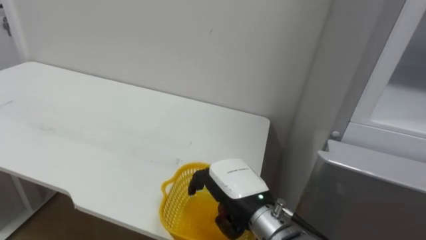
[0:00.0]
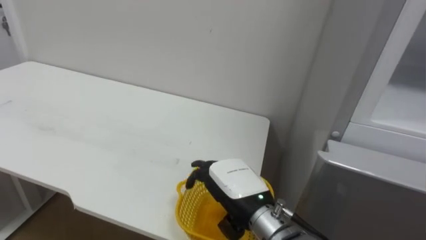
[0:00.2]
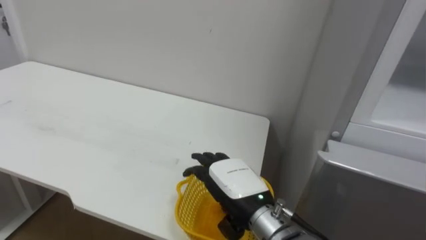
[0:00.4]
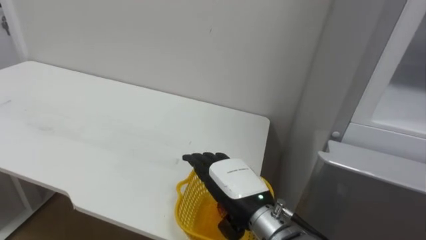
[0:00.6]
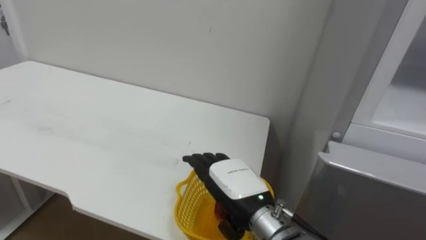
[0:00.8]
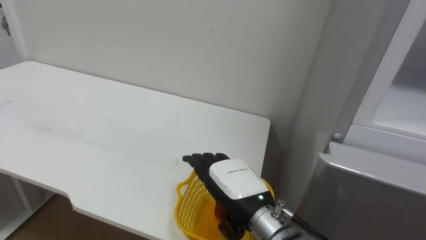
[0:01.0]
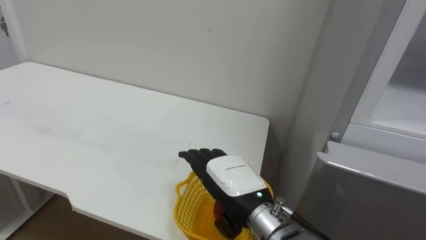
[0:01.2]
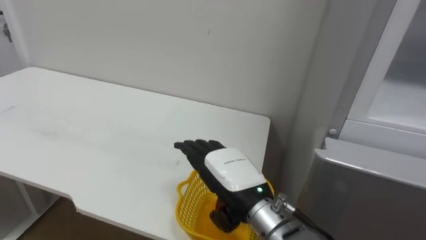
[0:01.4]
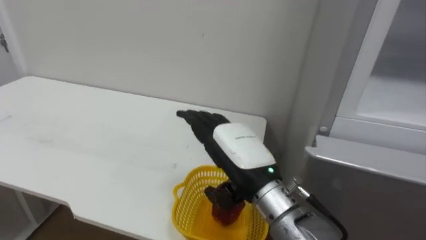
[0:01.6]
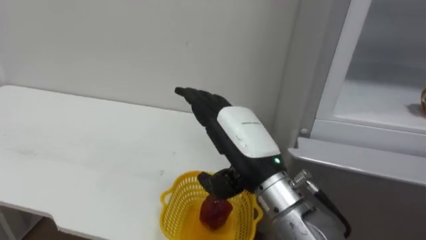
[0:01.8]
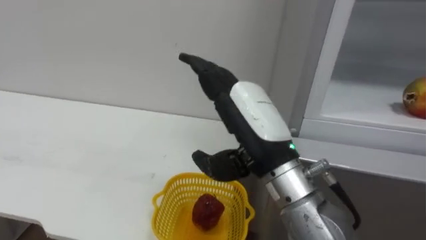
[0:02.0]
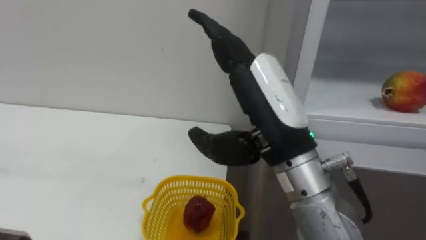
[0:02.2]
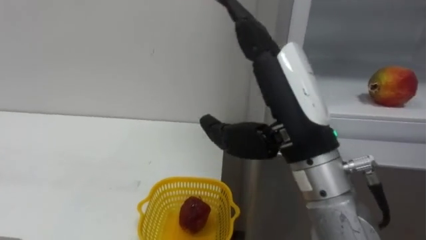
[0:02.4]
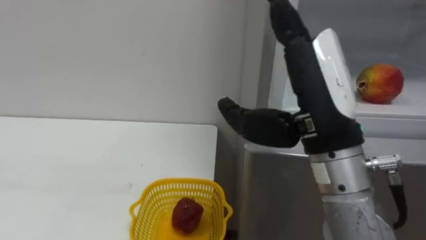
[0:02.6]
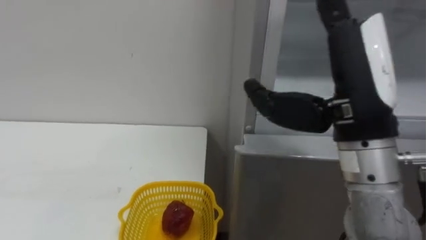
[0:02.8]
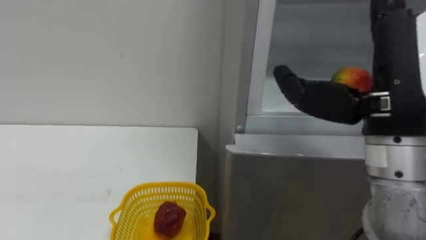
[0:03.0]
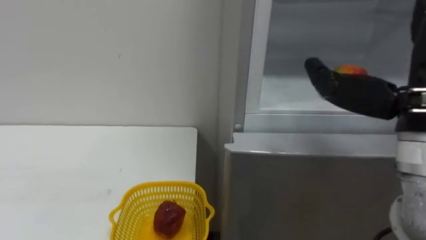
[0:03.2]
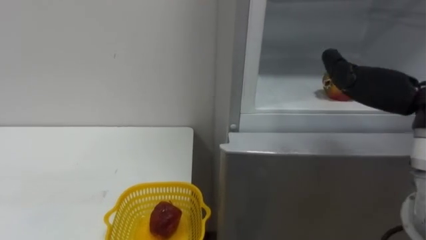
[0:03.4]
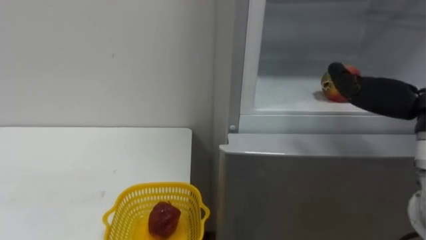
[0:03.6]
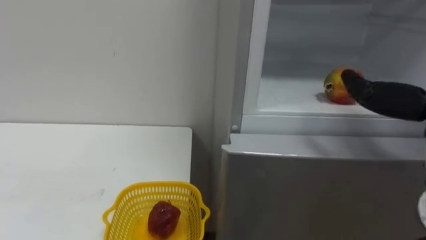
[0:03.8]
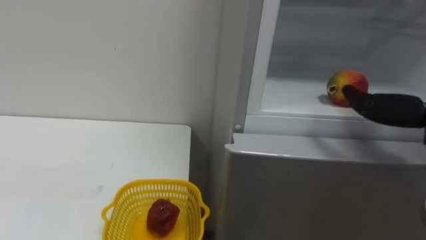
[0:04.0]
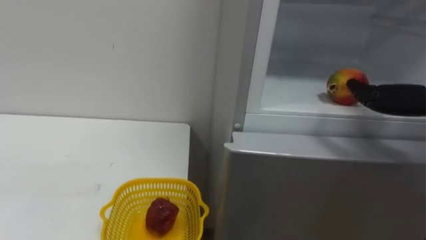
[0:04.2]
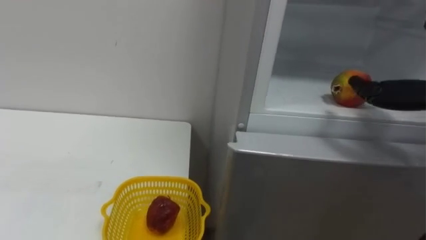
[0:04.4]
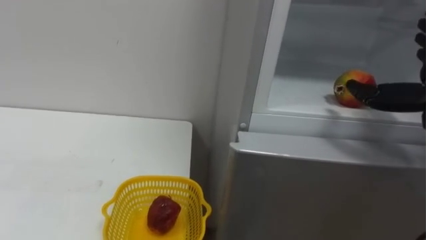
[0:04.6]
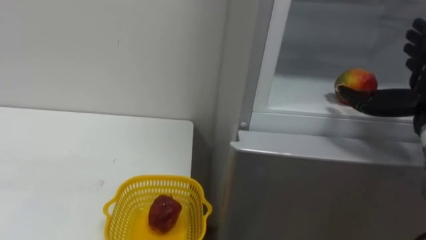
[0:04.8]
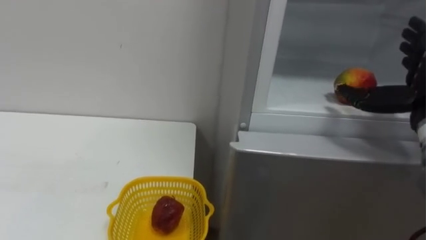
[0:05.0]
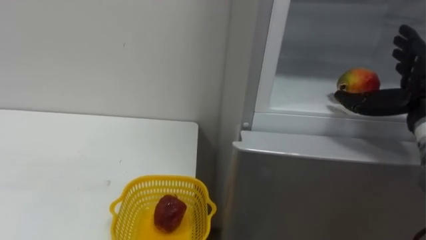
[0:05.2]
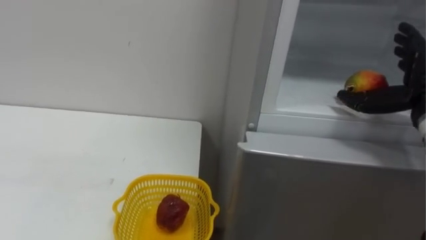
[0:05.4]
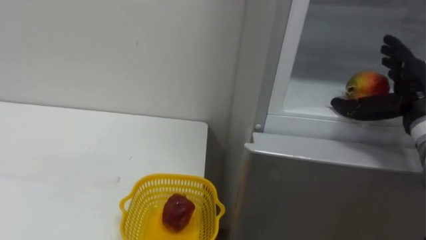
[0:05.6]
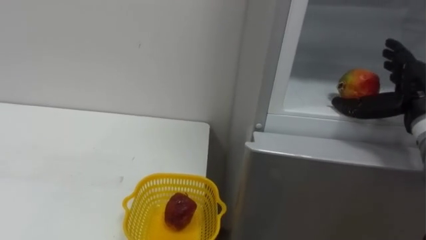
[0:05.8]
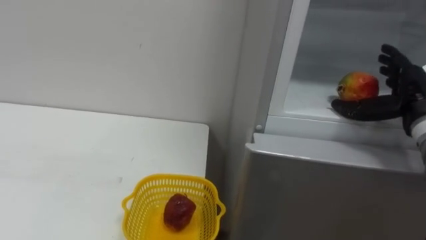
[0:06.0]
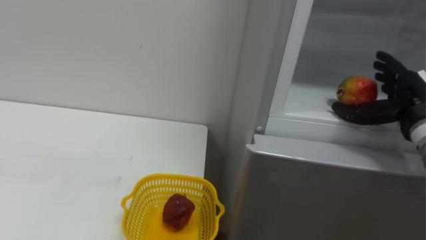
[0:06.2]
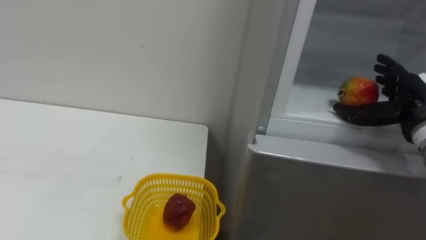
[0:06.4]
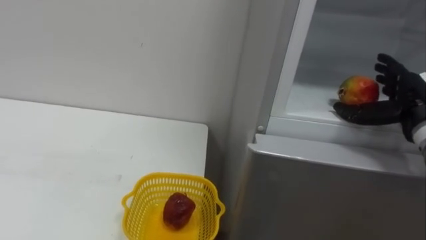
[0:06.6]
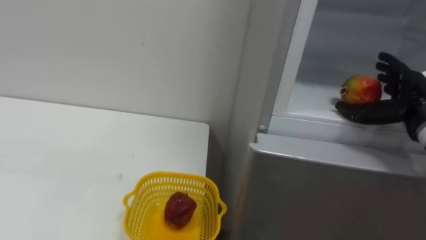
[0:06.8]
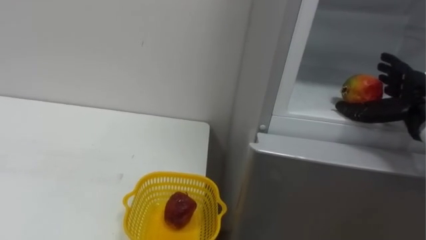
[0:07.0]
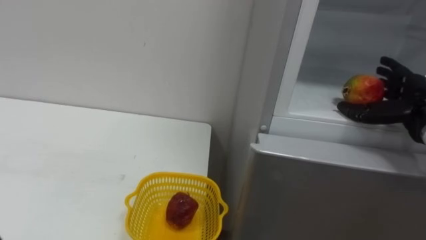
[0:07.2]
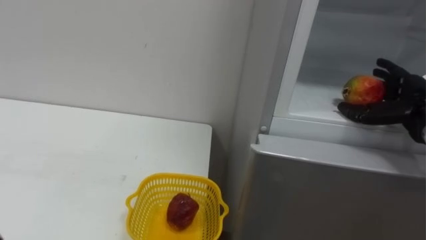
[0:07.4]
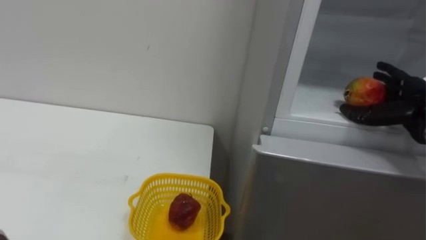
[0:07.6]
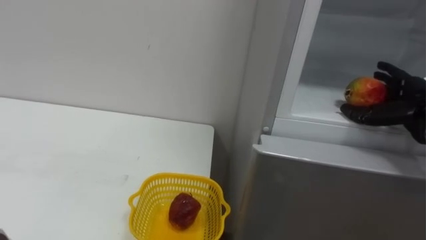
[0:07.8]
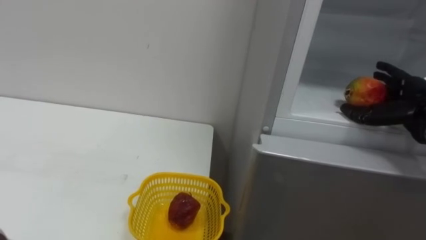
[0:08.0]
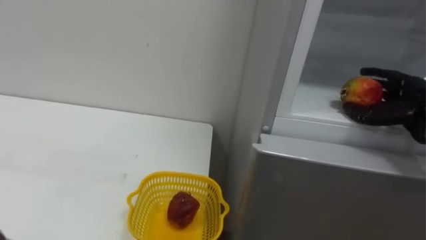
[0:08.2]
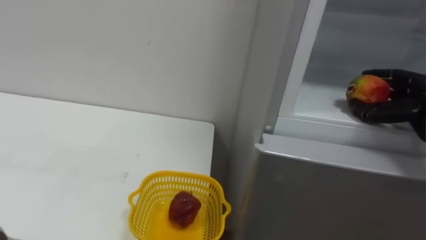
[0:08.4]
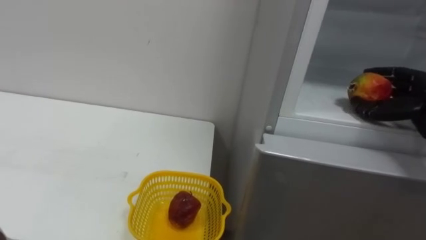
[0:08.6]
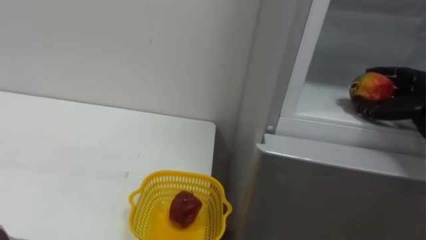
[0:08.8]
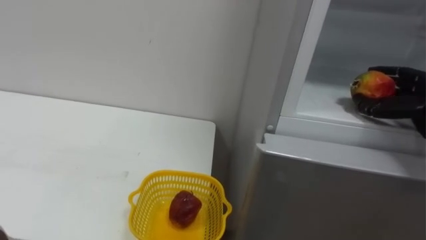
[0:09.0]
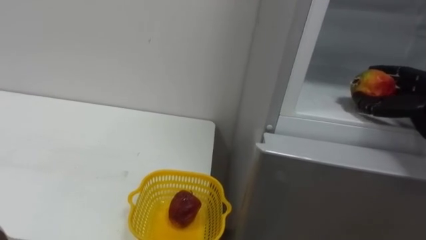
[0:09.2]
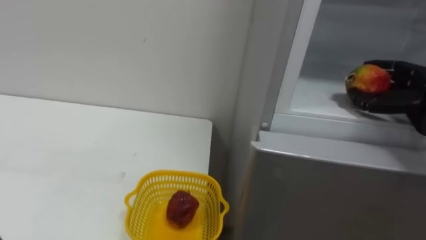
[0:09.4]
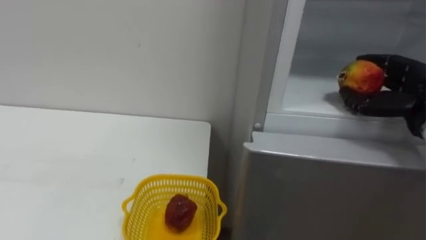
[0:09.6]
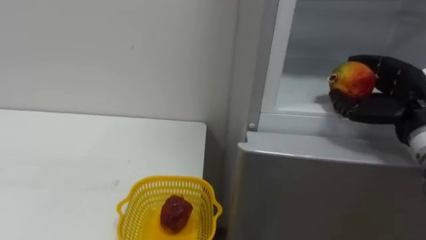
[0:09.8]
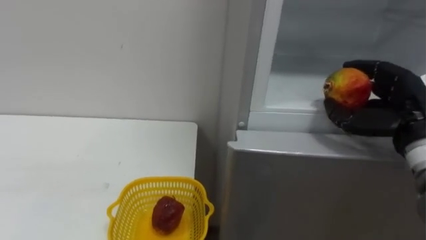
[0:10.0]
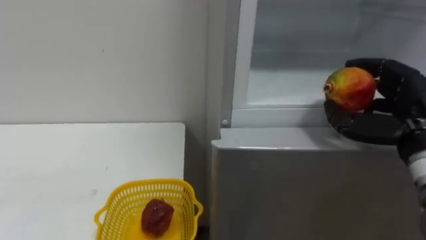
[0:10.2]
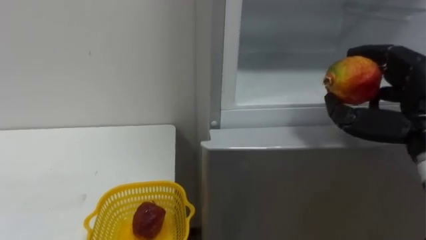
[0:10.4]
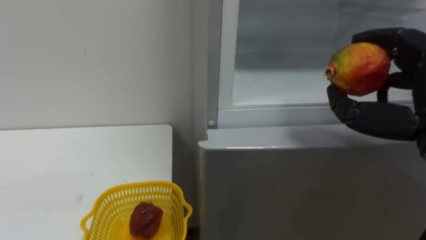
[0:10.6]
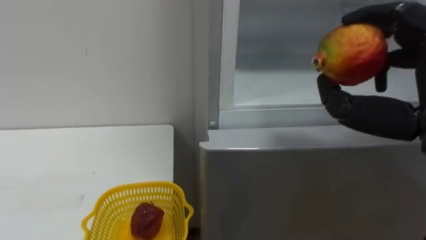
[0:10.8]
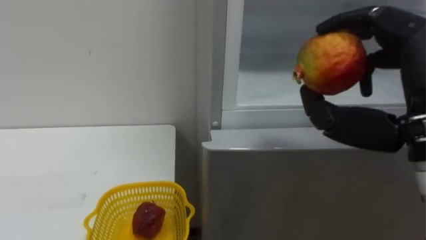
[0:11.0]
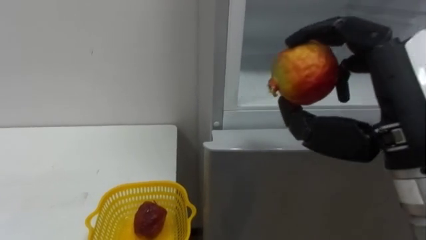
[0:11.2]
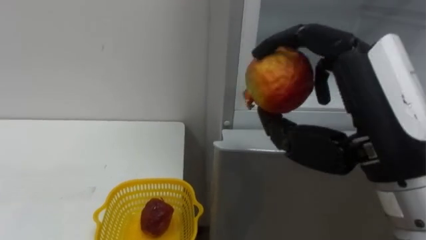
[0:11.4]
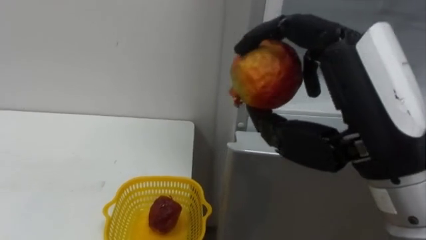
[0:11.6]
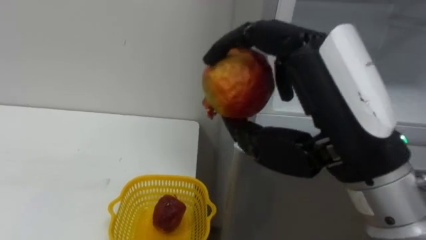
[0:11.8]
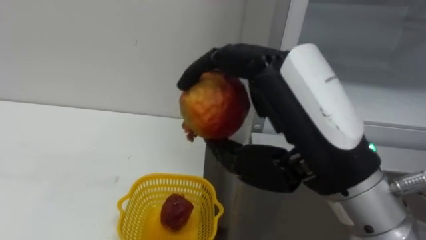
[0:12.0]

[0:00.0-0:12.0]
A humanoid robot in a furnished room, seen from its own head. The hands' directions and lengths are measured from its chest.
Task of the whole recording: Open the refrigerator door, take out the apple and the pomegranate, place them in the fruit basket on the left, and close the refrigerator door.
0:00.0 to 0:01.6: The right hand travels upward by approximately 5 cm, and opens up.
0:01.6 to 0:03.0: The right hand is displaced upward and to the right by about 20 cm.
0:07.6 to 0:09.0: The right hand closes its fingers.
0:09.0 to 0:10.4: The right hand goes about 15 cm backward and to the left.

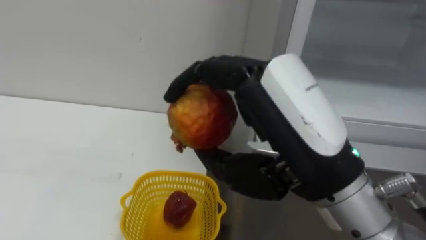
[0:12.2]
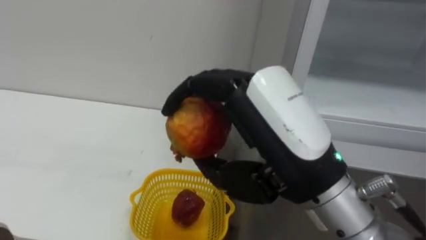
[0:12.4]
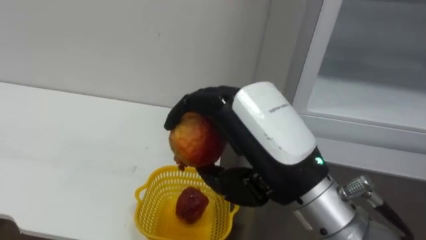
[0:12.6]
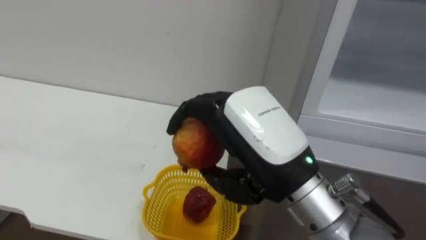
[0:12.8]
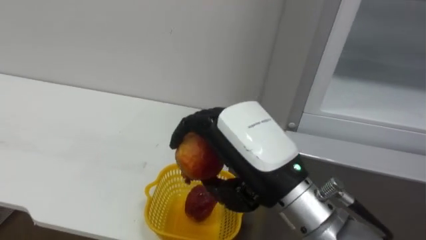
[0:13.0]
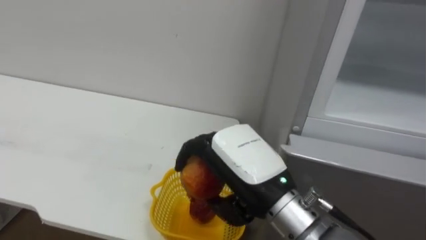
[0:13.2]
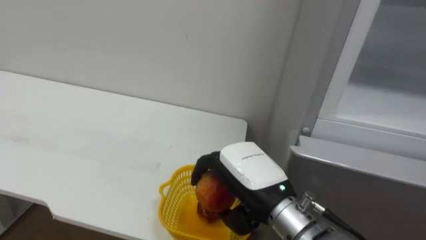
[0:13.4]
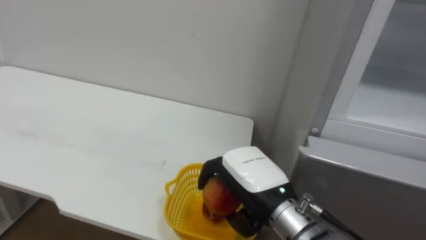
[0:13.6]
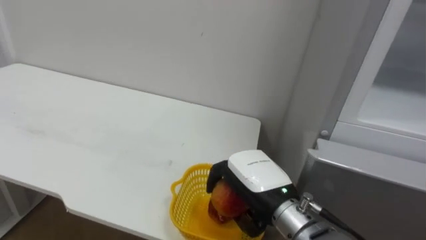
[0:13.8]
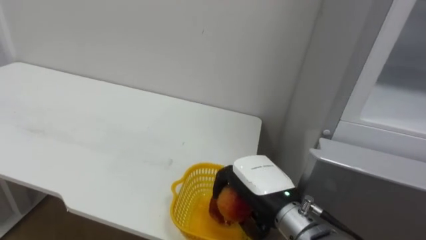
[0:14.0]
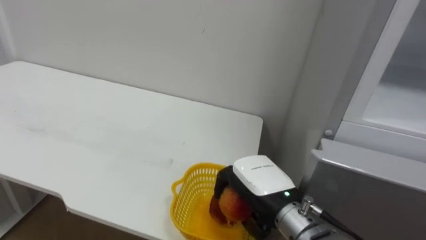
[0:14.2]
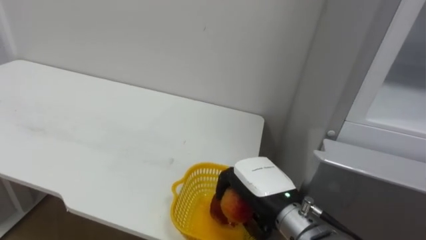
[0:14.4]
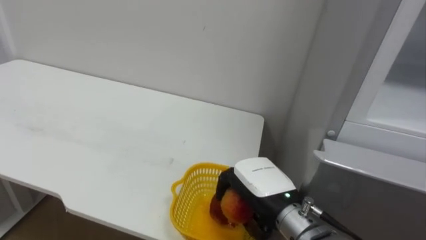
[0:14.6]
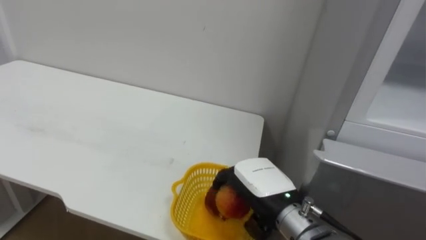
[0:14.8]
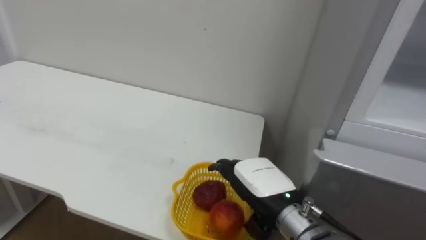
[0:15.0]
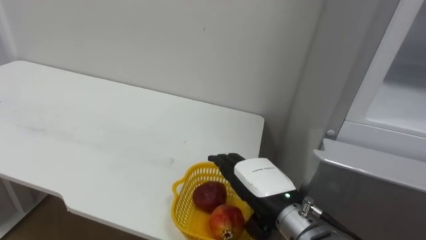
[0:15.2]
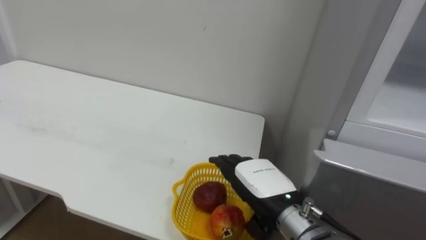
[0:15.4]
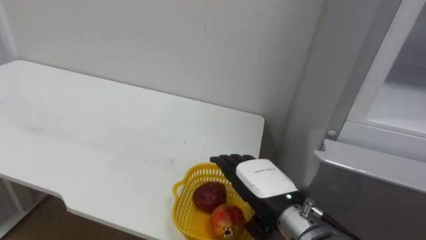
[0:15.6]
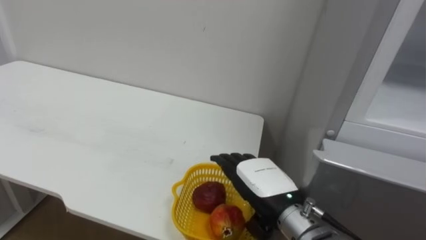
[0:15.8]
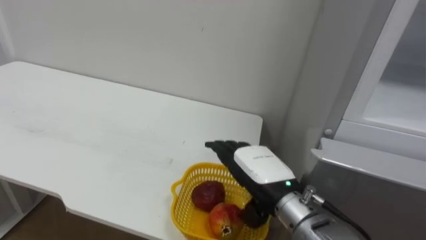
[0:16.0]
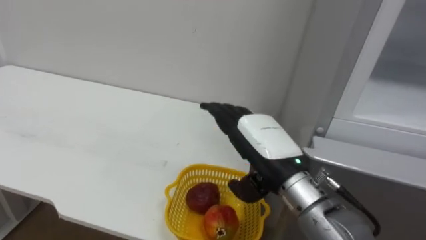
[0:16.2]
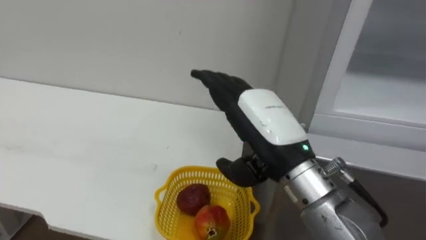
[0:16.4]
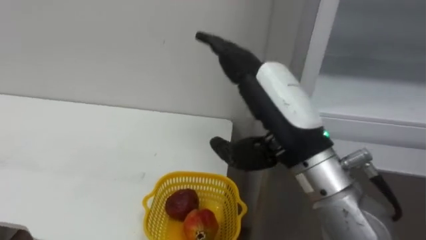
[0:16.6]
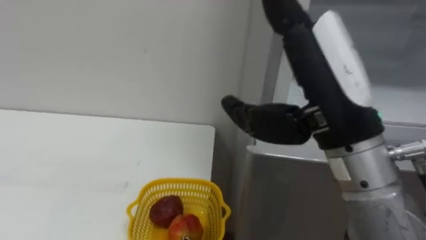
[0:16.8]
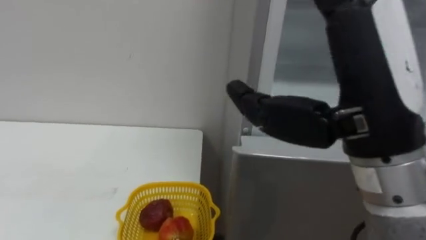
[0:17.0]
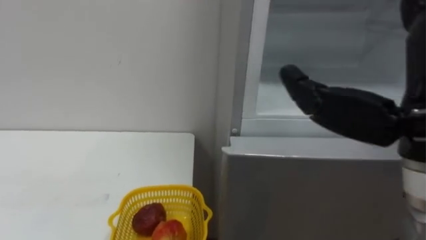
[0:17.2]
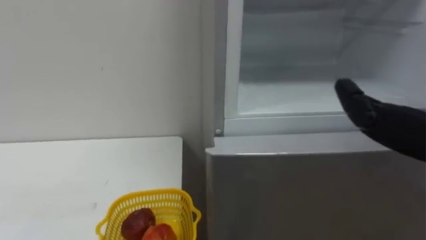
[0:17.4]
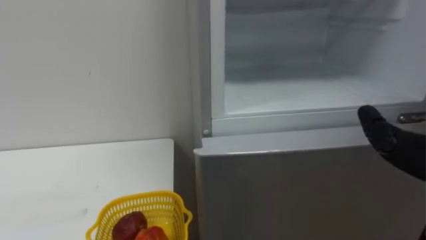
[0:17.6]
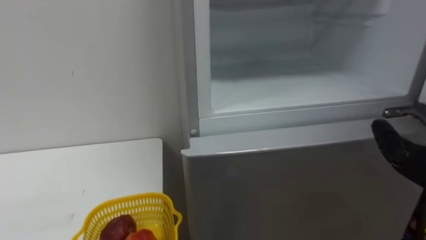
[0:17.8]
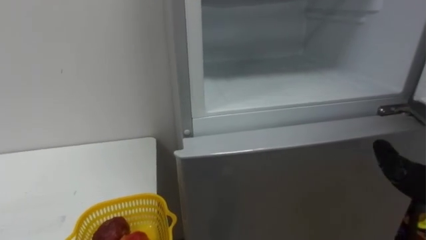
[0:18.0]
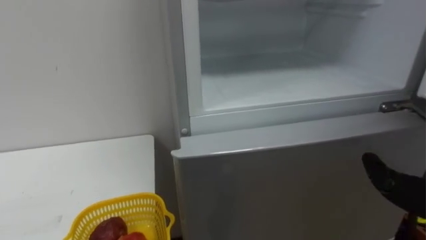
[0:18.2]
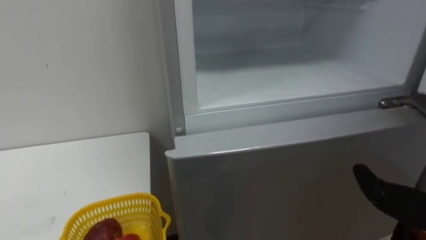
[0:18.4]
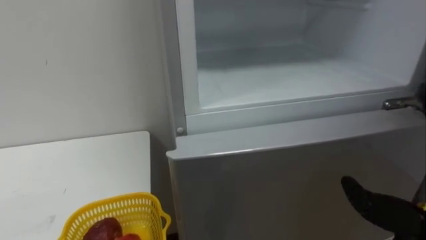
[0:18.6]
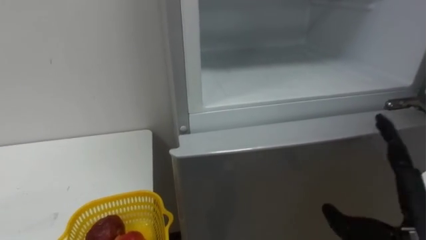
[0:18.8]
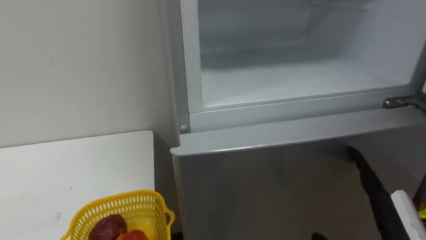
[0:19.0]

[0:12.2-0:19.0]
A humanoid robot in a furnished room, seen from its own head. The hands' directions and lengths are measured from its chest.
Task of the whole recording: Open the refrigerator door, take out the apple and the pomegranate, place them in the fruit basket on the left, and close the refrigerator door.
0:12.2 to 0:13.6: The right hand travels downward and forward by some 20 cm.
0:13.6 to 0:15.0: The right hand opens its fingers.
0:15.0 to 0:16.2: The right hand heads upward, covering about 10 cm.
